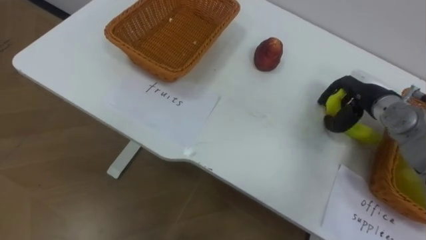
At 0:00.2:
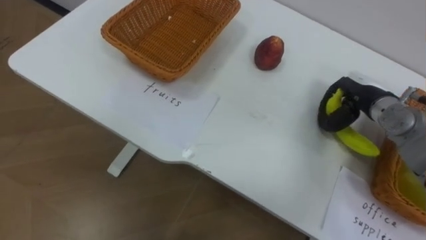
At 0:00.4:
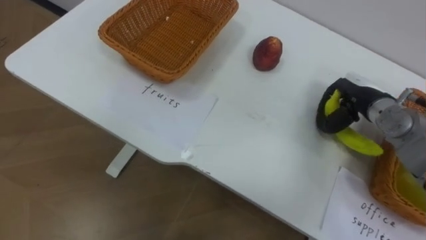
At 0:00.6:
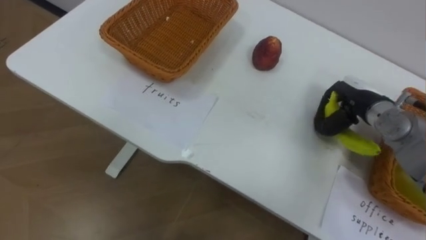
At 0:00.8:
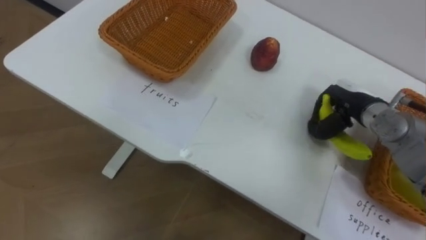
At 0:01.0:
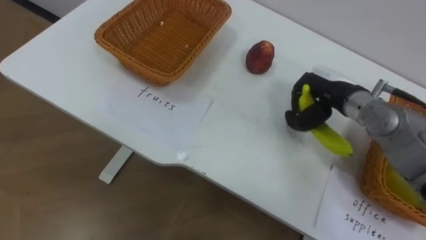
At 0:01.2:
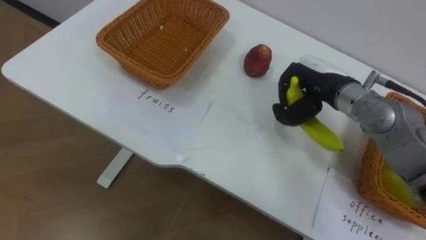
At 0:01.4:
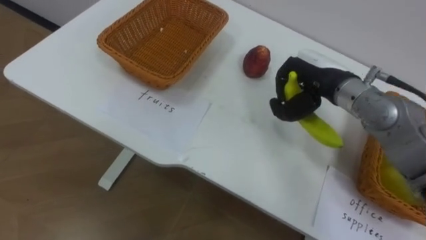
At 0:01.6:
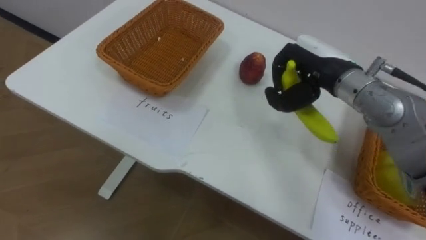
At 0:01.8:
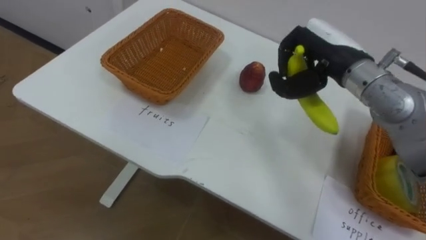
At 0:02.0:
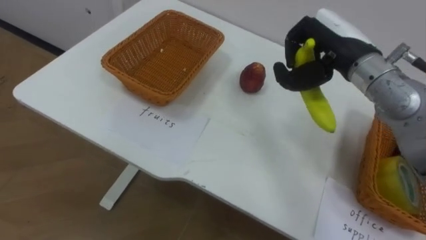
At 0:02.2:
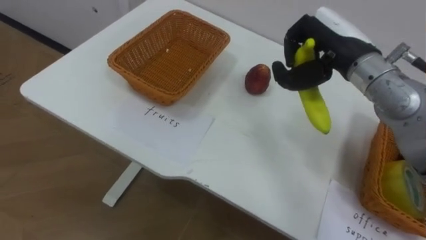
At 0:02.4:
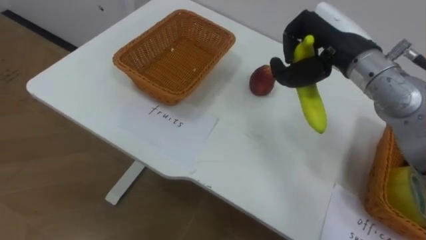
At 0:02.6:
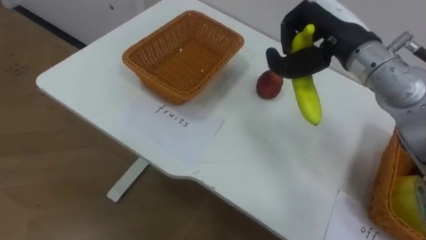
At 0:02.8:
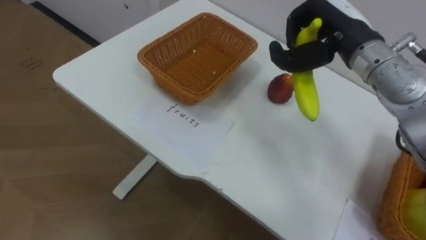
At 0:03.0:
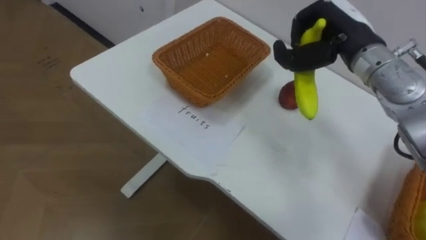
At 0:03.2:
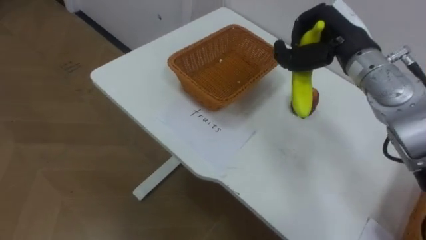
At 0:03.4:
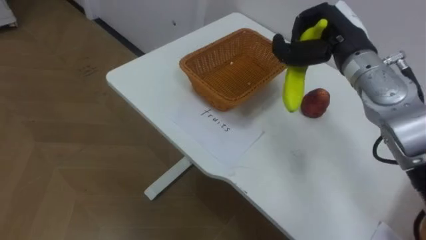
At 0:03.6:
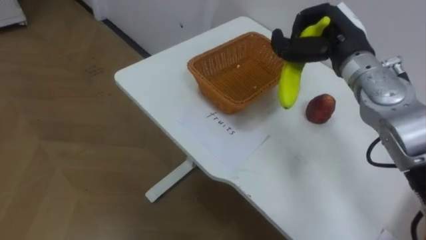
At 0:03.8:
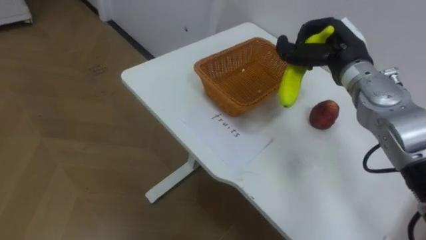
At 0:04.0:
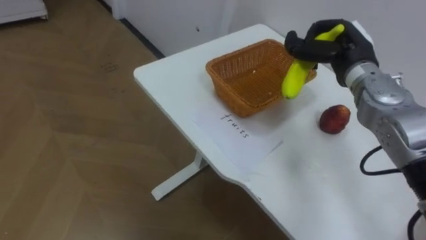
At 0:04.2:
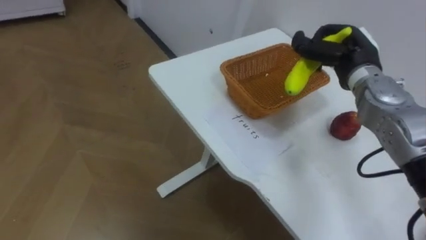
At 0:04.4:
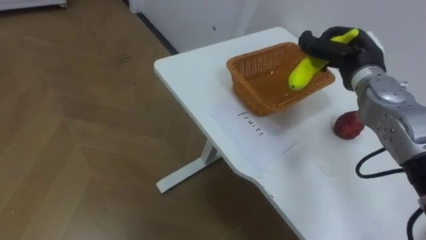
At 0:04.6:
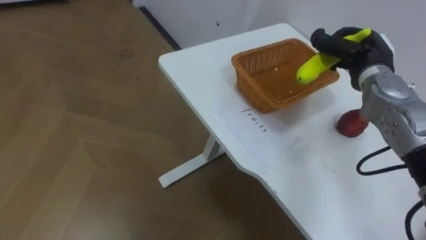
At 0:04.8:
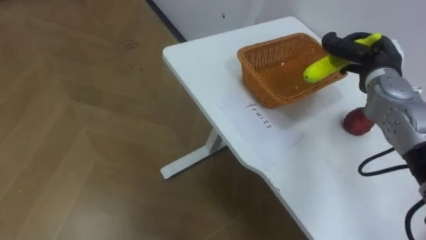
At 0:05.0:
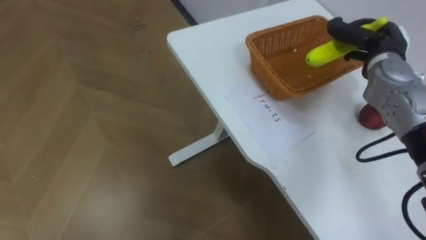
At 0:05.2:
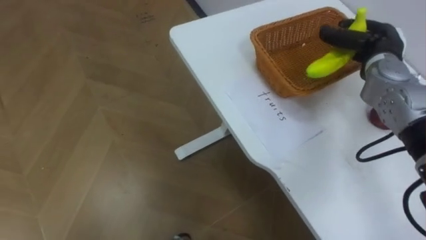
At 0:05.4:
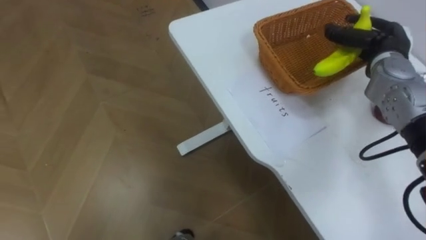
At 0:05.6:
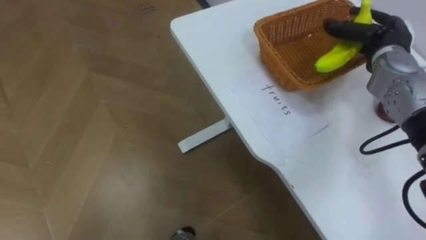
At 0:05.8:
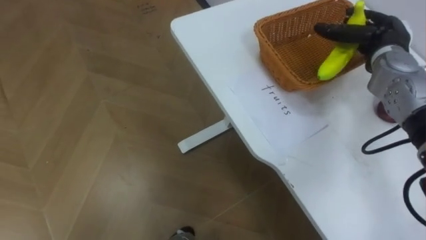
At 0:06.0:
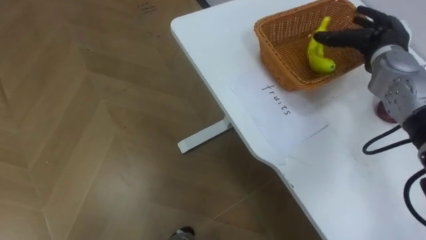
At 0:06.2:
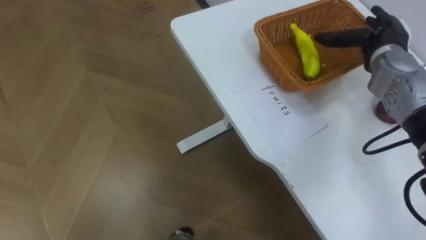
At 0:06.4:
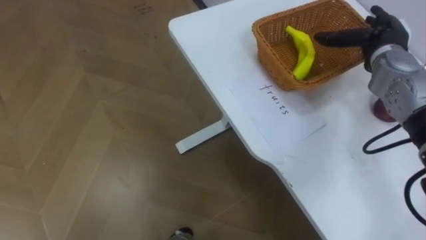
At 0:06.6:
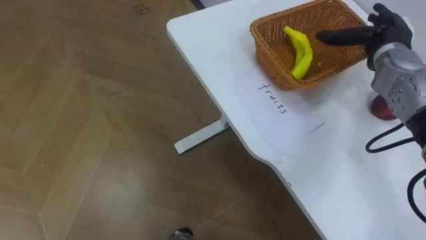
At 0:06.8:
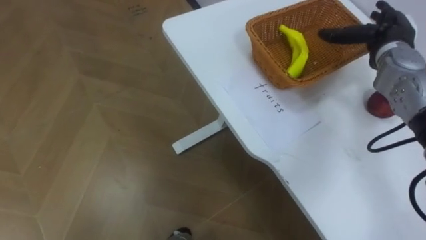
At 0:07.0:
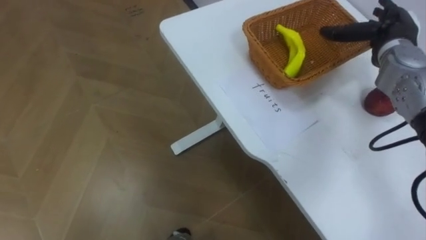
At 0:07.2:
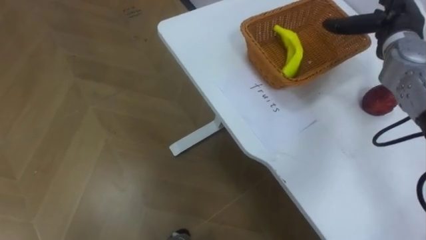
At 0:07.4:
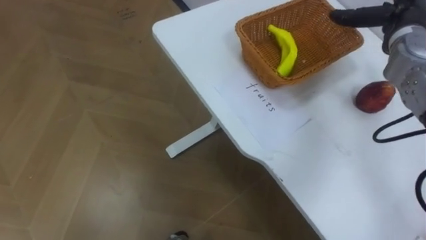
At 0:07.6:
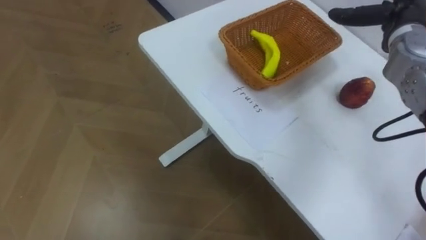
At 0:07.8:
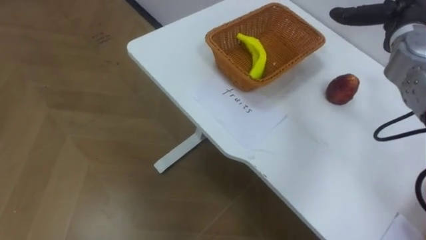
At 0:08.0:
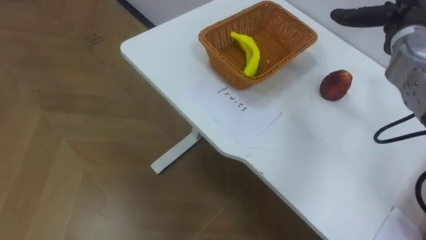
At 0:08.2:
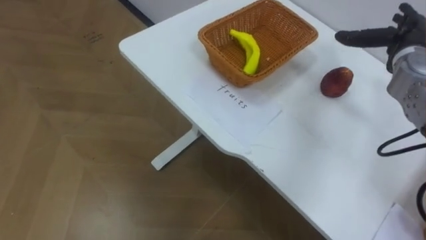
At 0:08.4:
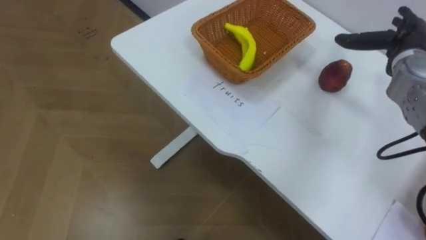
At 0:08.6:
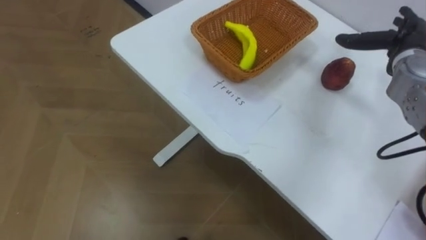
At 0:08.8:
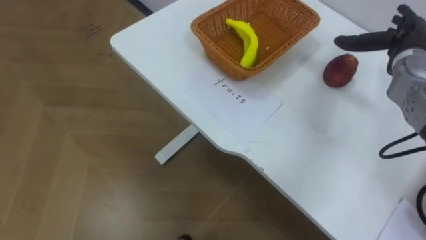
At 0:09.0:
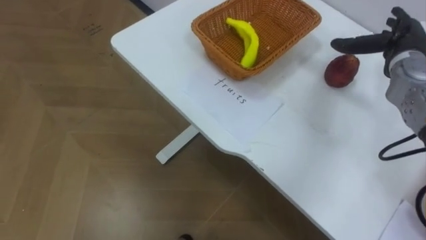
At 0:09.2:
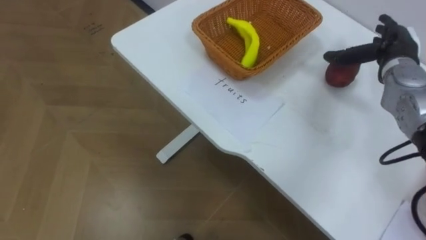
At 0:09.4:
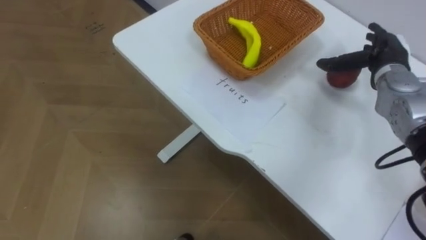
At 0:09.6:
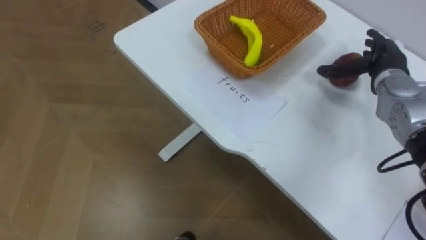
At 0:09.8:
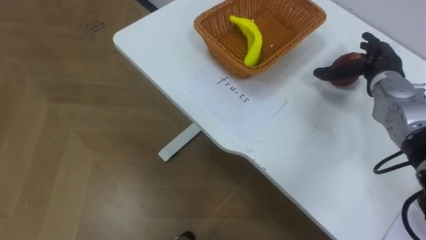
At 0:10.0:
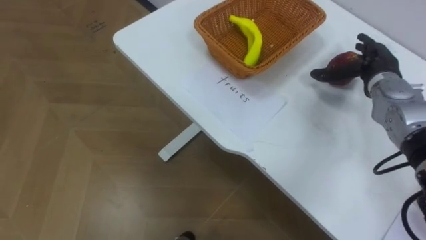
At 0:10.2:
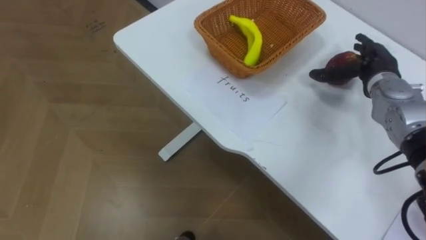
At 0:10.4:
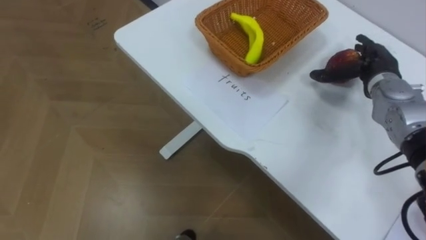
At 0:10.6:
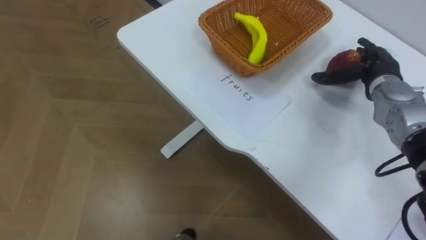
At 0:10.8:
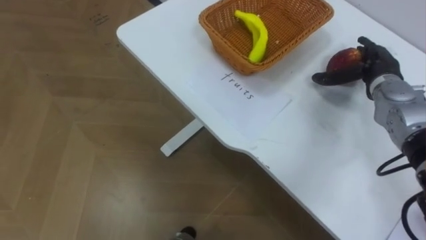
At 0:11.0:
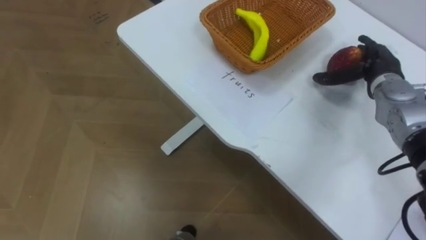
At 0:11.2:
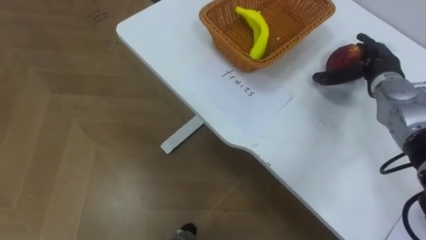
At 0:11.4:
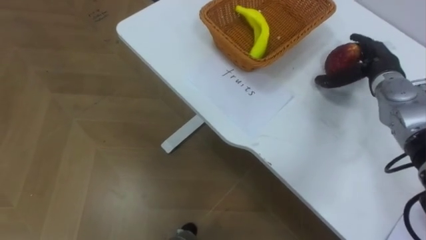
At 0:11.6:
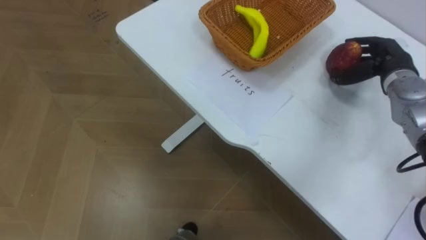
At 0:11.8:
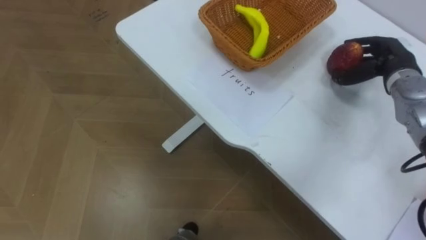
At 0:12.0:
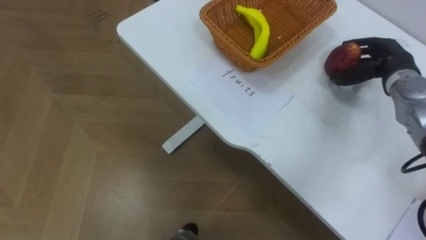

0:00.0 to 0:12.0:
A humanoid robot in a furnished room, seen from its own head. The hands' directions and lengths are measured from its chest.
Task of the whole recording: Separate the items on the table and place them into the two baskets.
0:00.0 to 0:01.6: The right hand shifts some 15 cm to the left and upward, and closes up.
0:01.6 to 0:03.0: The right hand shifts by roughly 5 cm.
0:03.0 to 0:04.4: The right hand travels downward by roughly 5 cm.
0:04.4 to 0:06.0: The right hand changes place by approximately 5 cm, and opens its fingers.
0:09.0 to 0:10.4: The right hand ends up approximately 5 cm from where it was.
0:10.4 to 0:12.0: The right hand closes.

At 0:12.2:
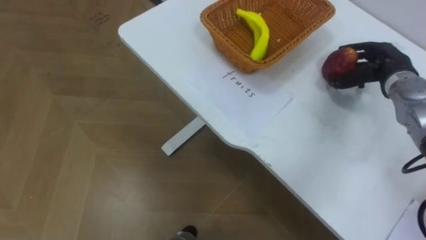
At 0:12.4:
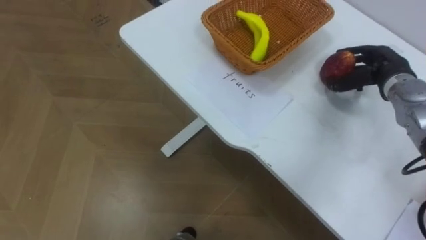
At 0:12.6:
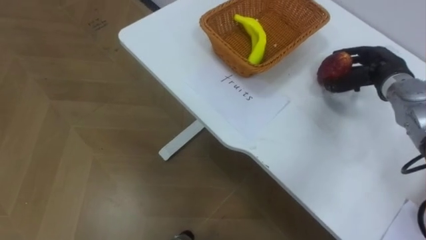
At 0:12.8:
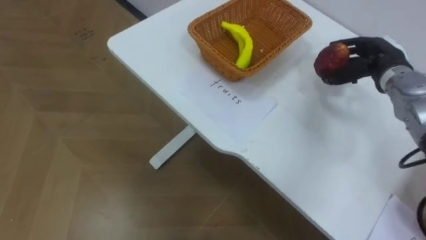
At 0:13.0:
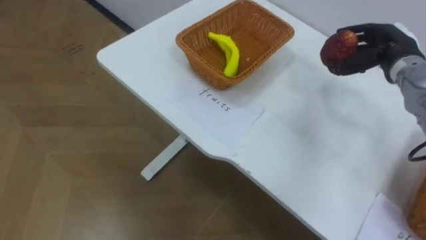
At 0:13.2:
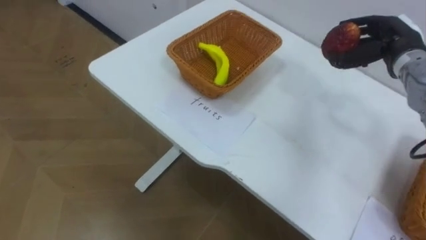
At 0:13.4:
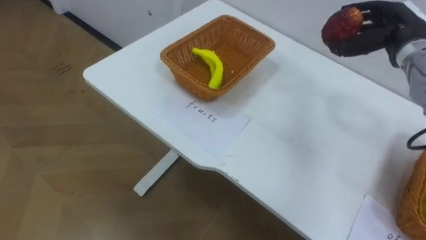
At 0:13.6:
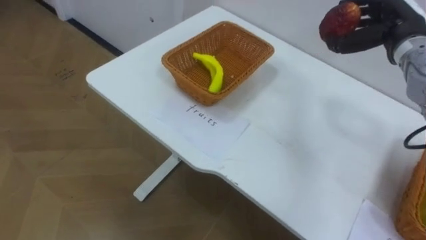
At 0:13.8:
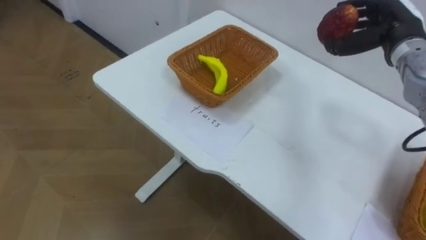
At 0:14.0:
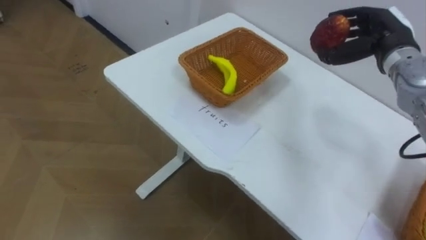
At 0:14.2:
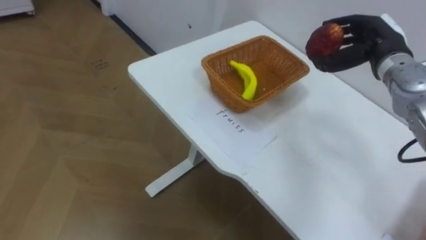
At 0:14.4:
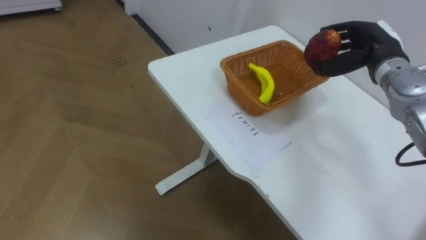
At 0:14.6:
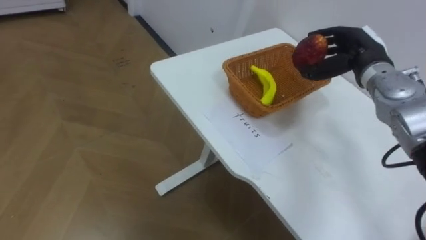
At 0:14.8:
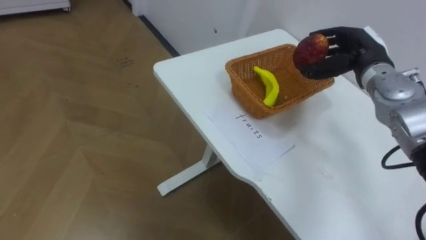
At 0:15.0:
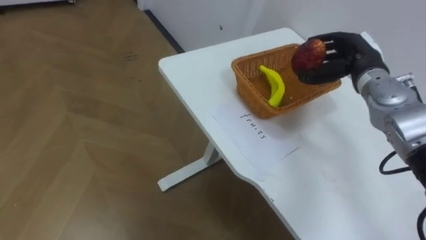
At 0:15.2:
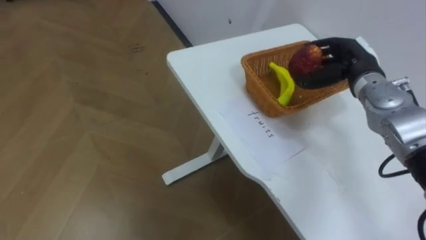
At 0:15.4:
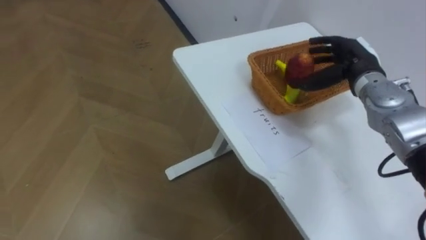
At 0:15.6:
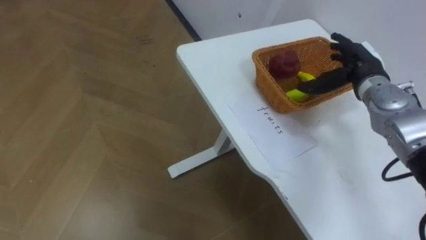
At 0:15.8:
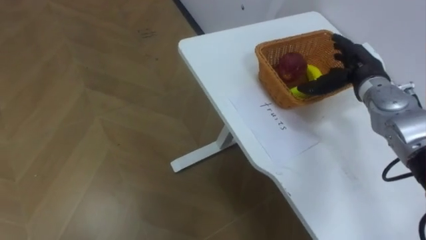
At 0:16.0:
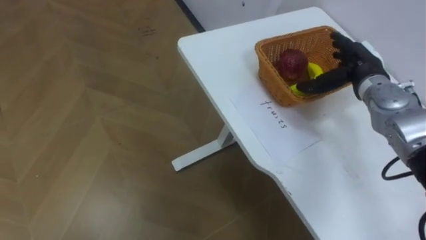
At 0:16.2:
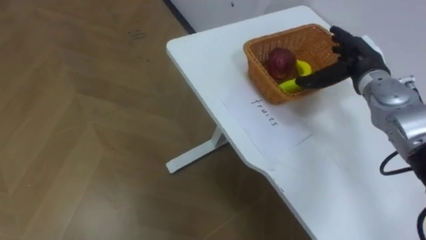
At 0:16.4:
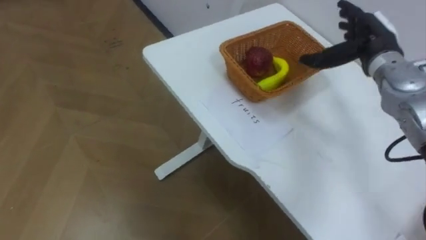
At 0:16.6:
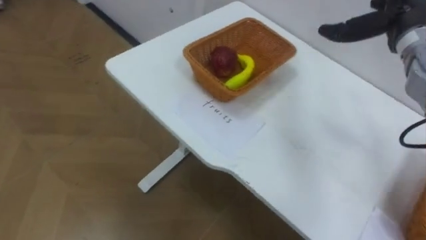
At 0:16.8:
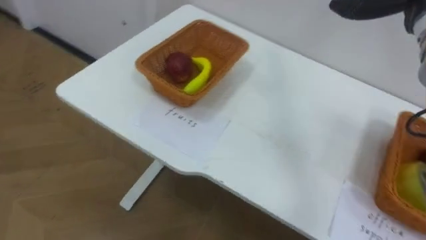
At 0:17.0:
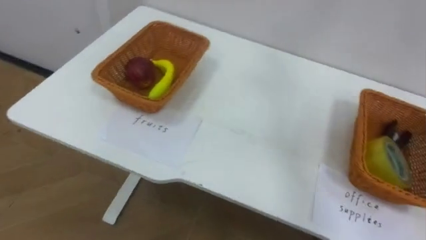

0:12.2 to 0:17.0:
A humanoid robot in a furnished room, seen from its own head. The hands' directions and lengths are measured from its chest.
Task of the whole recording: Separate the items on the table and place them into the two baskets.
0:12.2 to 0:13.8: The right hand travels upward by some 5 cm.
0:13.8 to 0:15.4: The right hand heads downward, covering roughly 5 cm.
